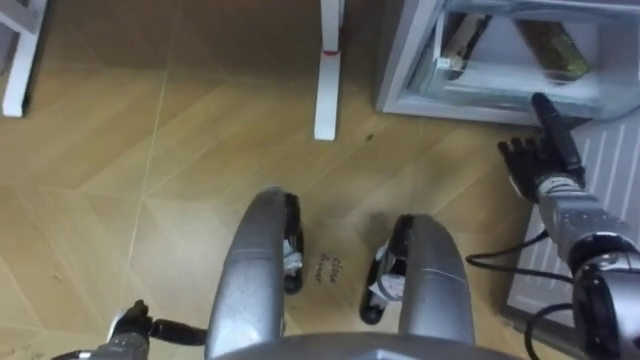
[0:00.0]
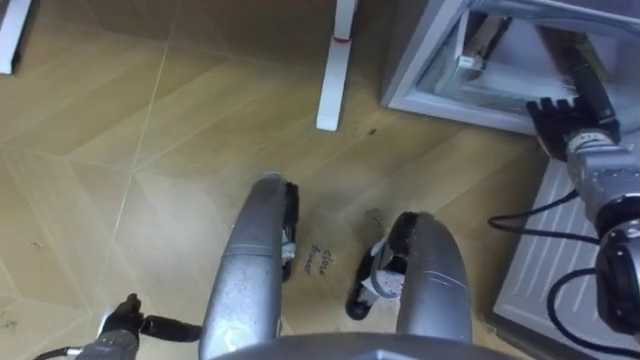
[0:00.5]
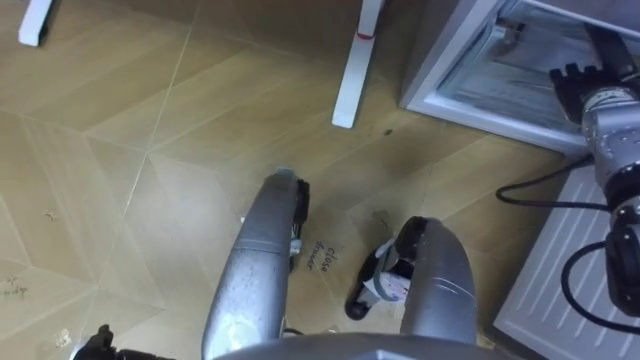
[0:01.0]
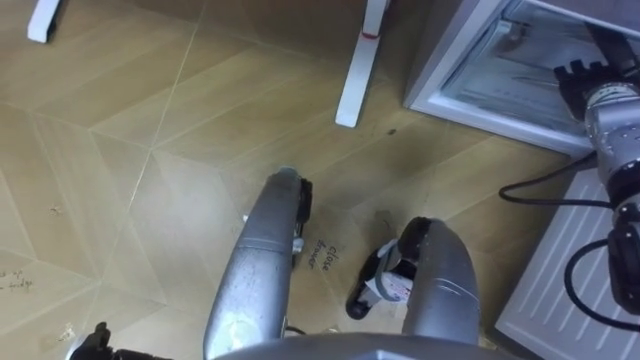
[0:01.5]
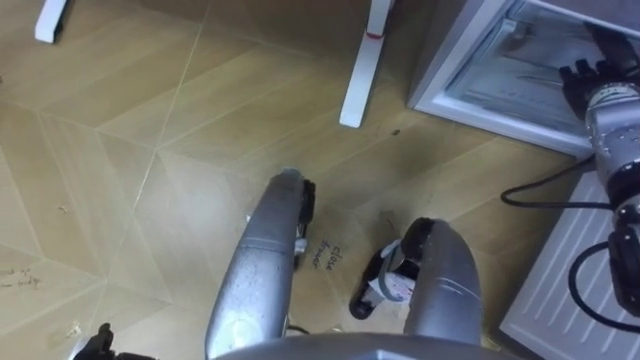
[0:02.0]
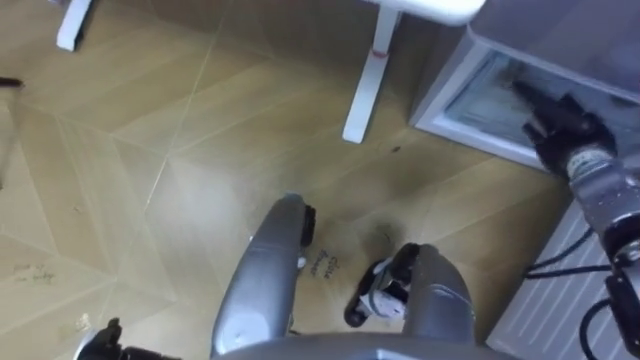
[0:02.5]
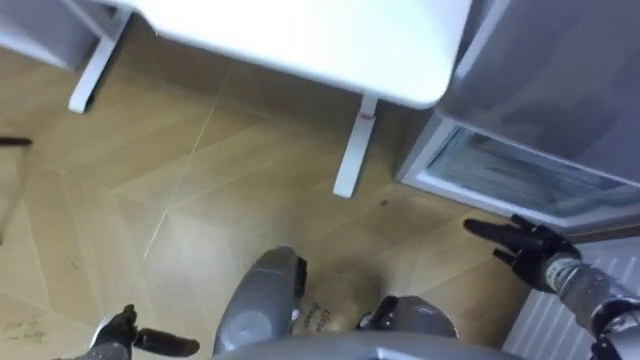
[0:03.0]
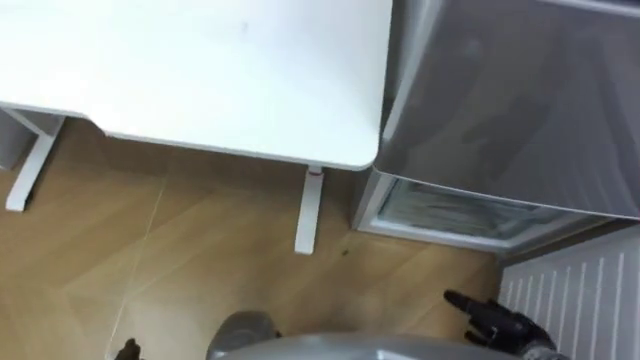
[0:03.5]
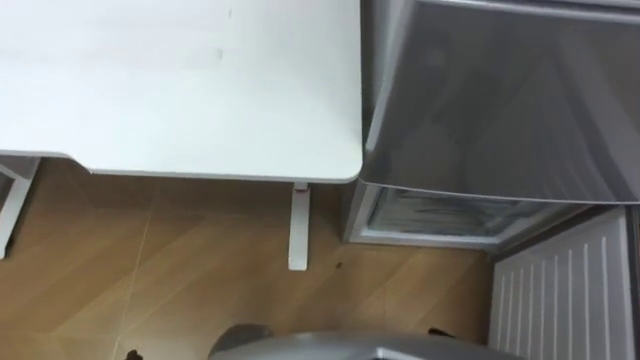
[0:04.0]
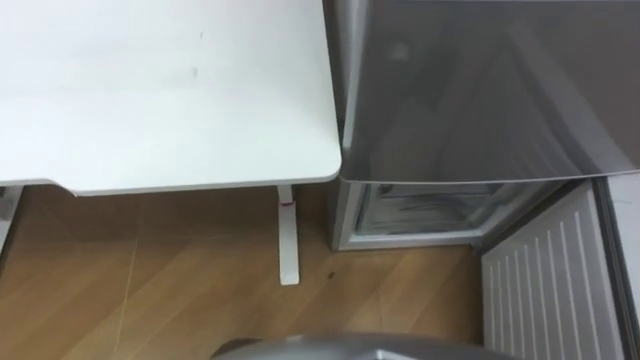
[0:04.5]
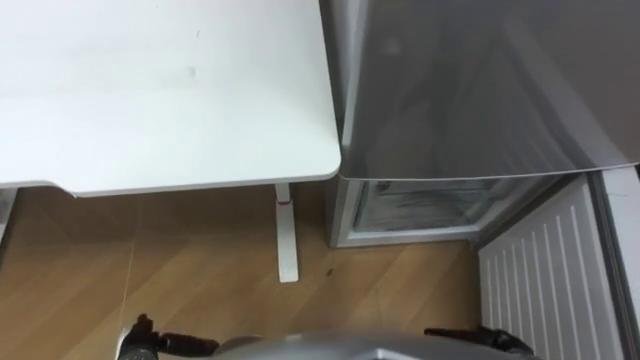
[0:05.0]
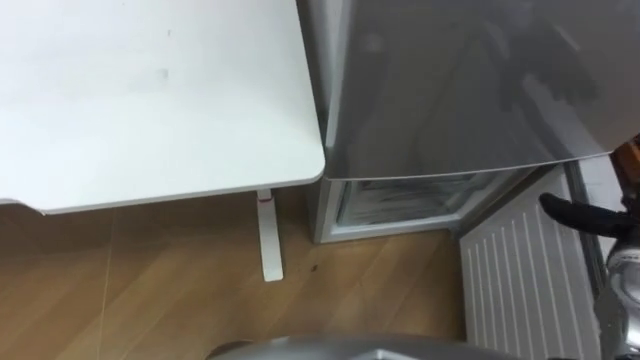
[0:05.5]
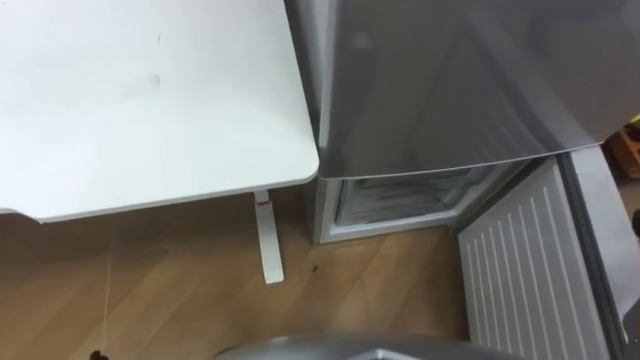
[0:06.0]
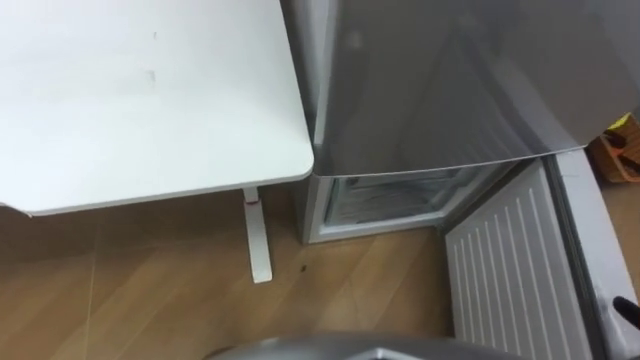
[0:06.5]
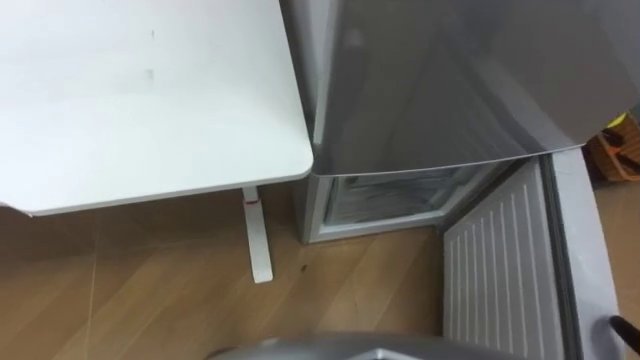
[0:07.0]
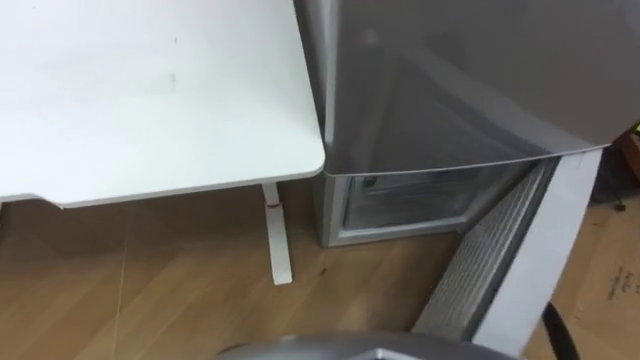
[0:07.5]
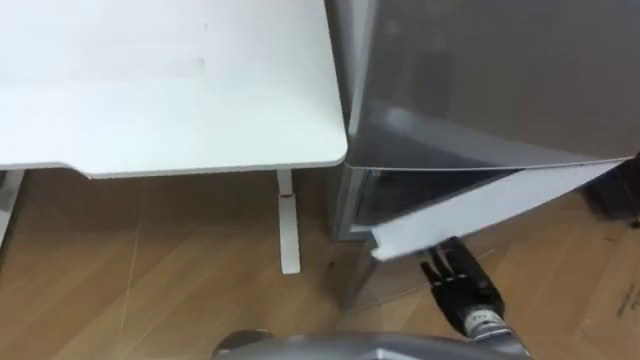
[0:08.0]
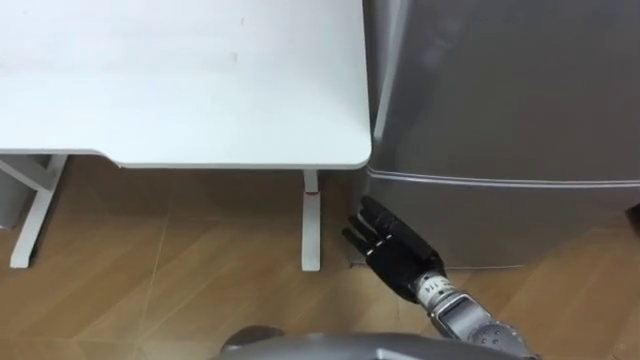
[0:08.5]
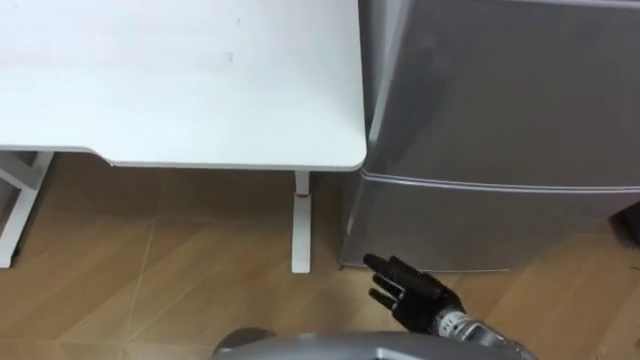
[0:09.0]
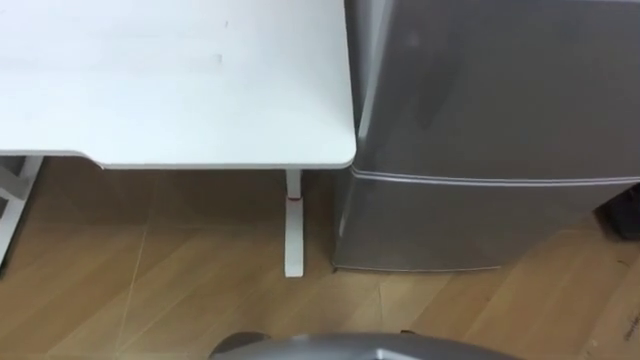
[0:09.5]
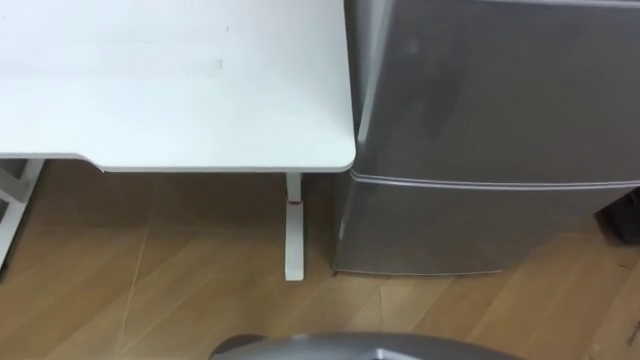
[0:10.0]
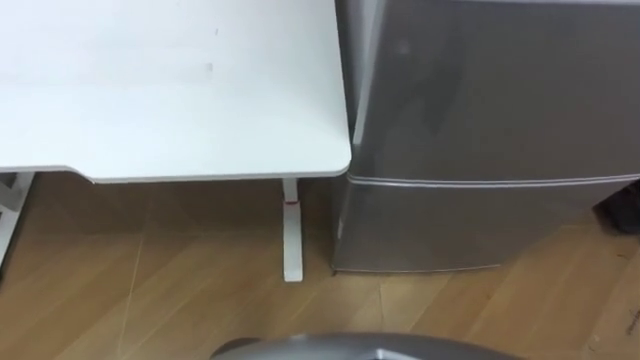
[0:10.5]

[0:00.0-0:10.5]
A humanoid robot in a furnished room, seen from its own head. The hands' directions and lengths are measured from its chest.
Task of the whole recording: Place the drink on the table on the bottom shelf of the refrigerator, then close the drawer and the refrigerator door.
0:00.0 to 0:02.0: The right hand heads upward and forward, covering about 15 cm.
